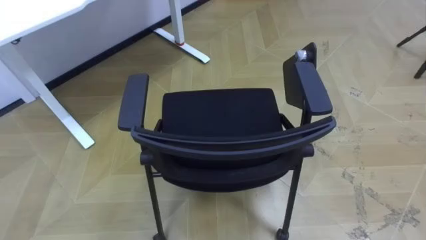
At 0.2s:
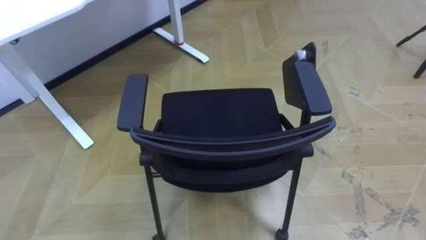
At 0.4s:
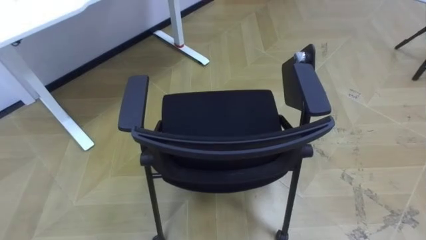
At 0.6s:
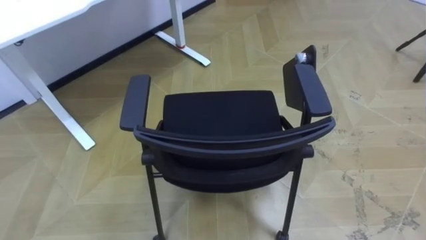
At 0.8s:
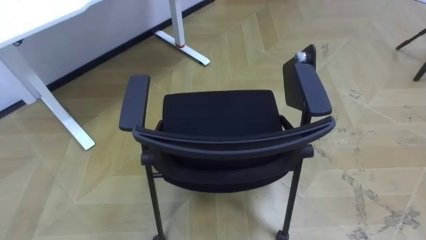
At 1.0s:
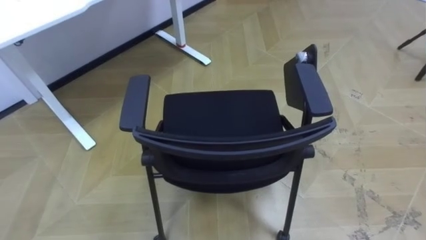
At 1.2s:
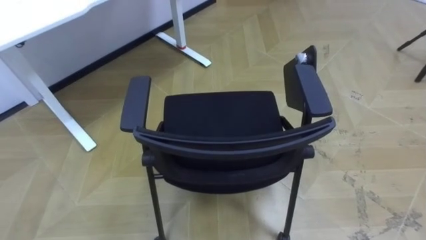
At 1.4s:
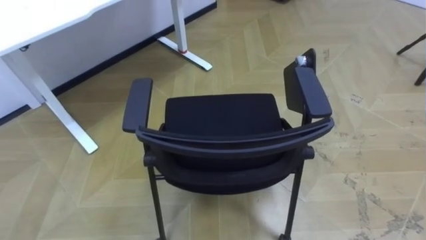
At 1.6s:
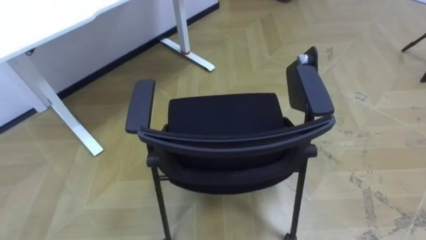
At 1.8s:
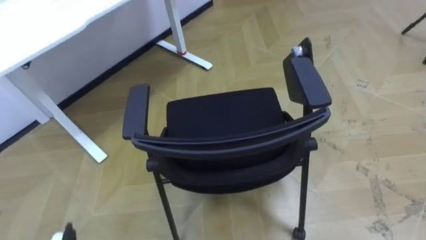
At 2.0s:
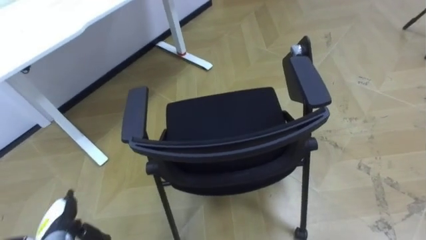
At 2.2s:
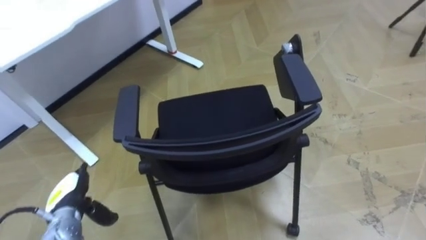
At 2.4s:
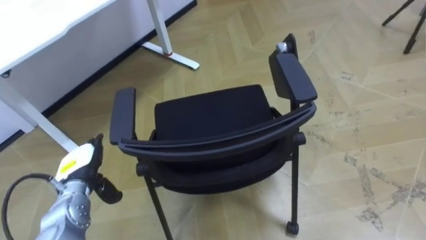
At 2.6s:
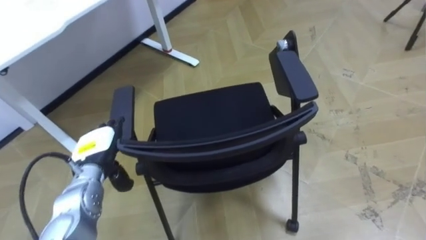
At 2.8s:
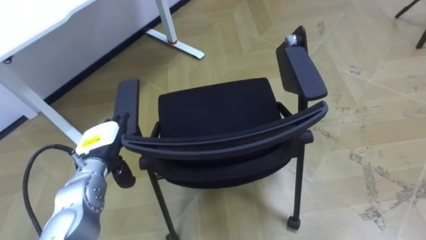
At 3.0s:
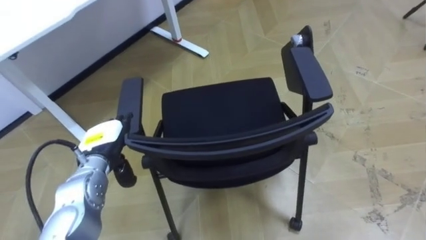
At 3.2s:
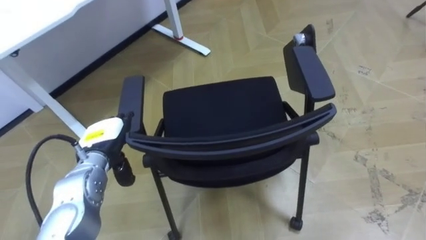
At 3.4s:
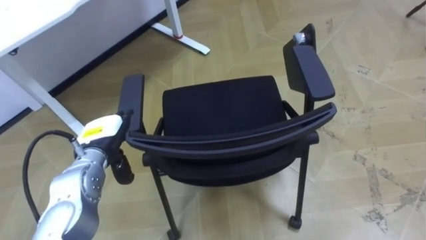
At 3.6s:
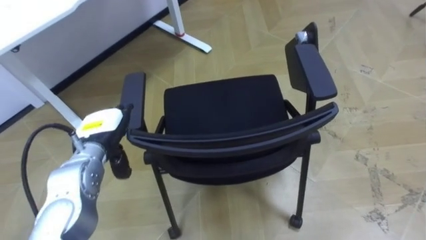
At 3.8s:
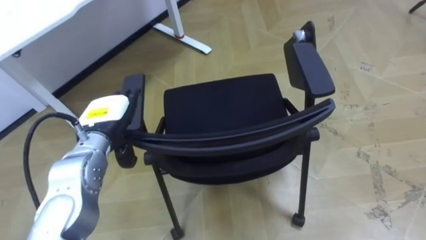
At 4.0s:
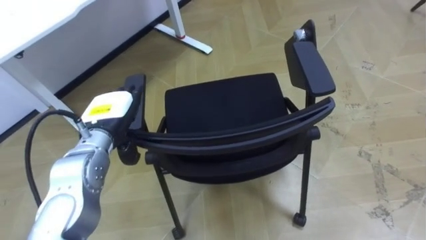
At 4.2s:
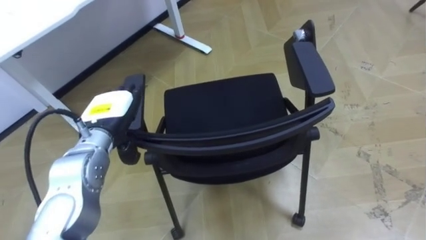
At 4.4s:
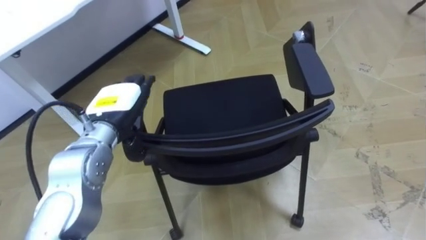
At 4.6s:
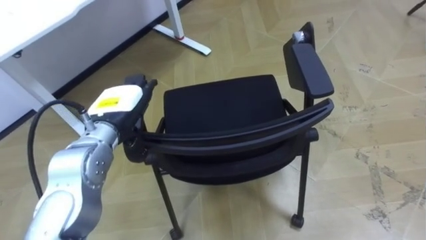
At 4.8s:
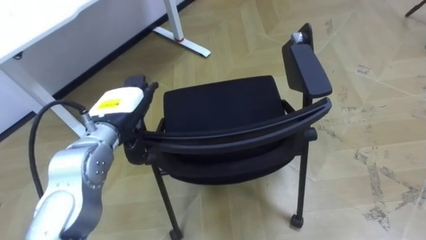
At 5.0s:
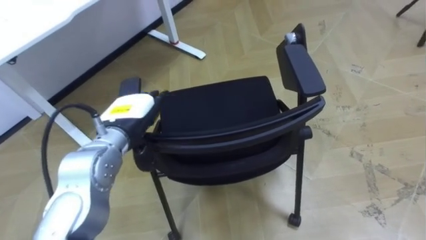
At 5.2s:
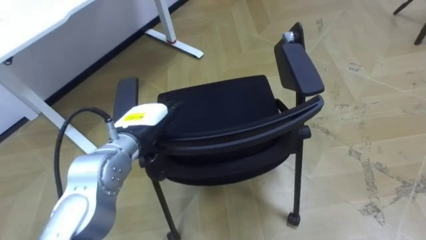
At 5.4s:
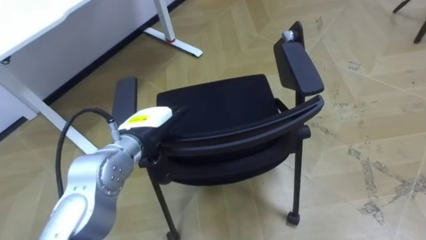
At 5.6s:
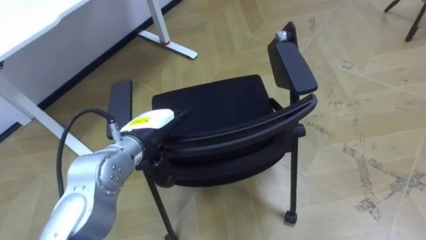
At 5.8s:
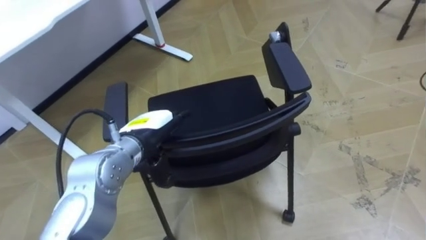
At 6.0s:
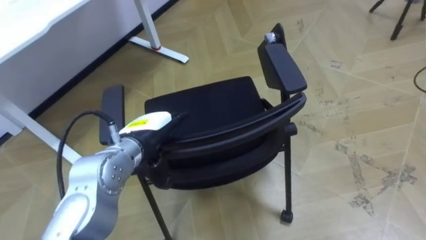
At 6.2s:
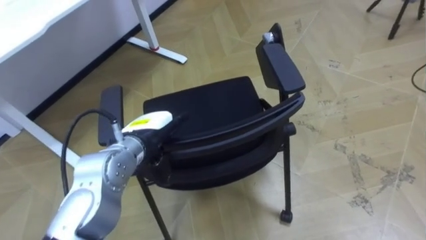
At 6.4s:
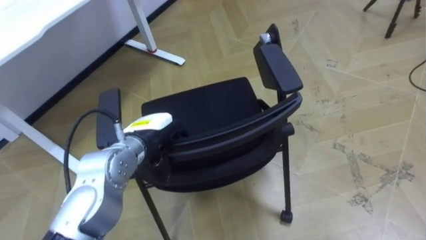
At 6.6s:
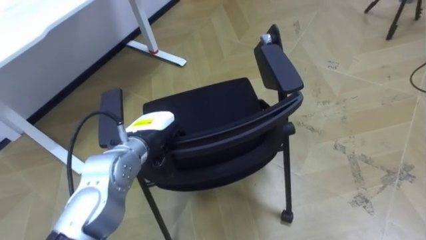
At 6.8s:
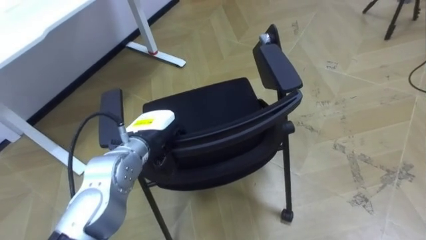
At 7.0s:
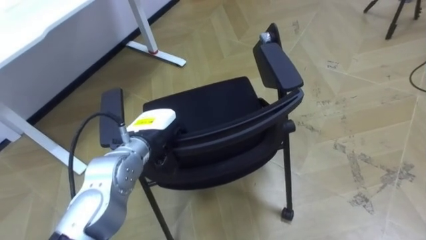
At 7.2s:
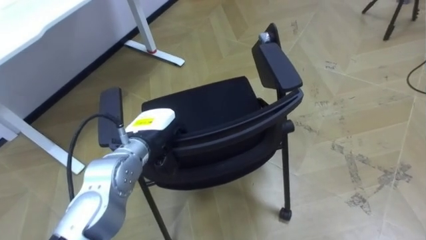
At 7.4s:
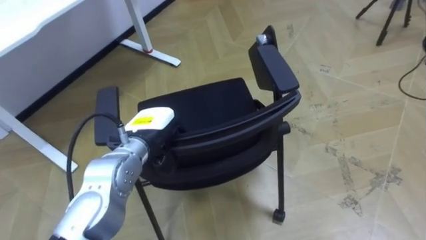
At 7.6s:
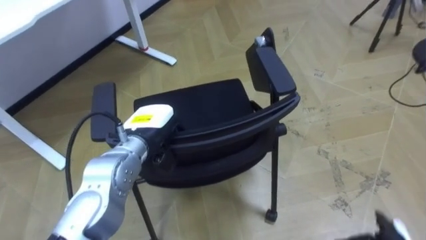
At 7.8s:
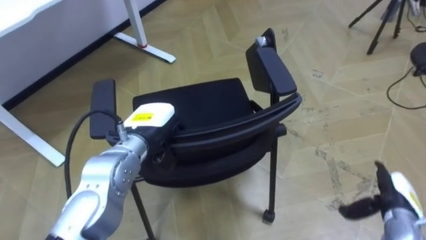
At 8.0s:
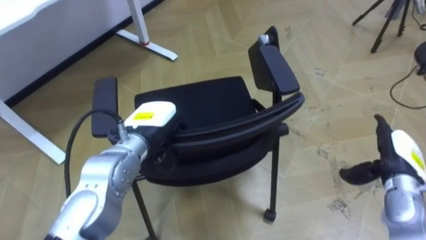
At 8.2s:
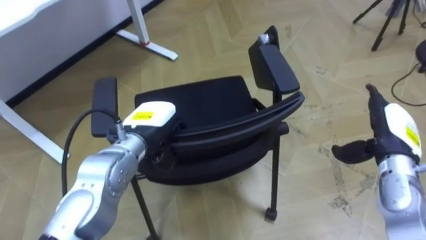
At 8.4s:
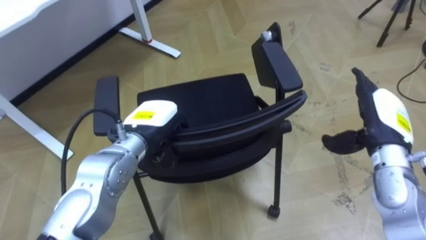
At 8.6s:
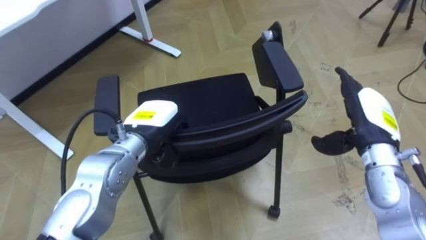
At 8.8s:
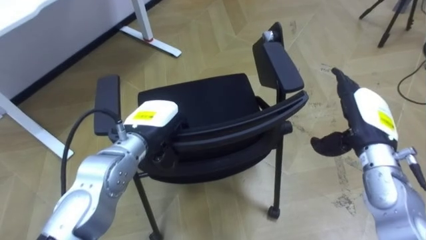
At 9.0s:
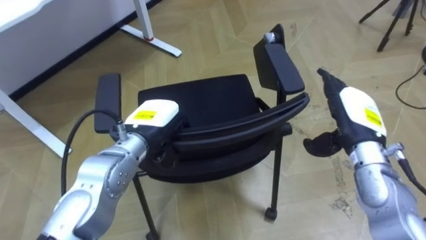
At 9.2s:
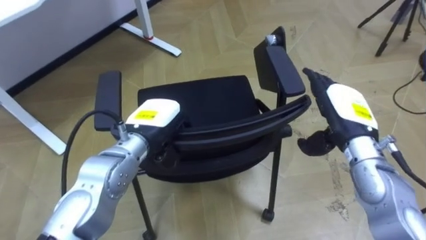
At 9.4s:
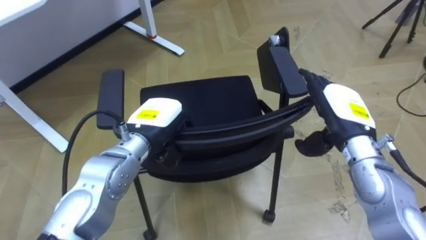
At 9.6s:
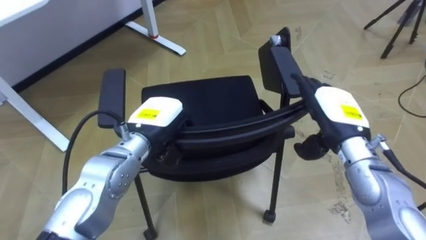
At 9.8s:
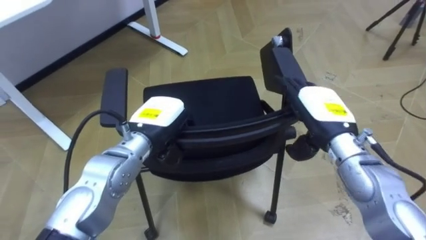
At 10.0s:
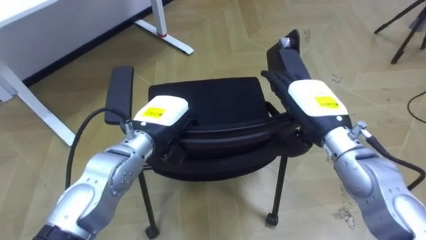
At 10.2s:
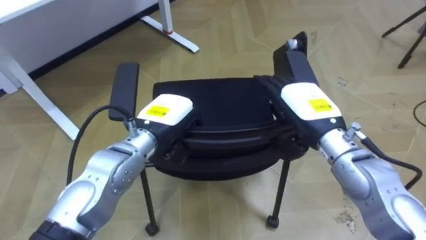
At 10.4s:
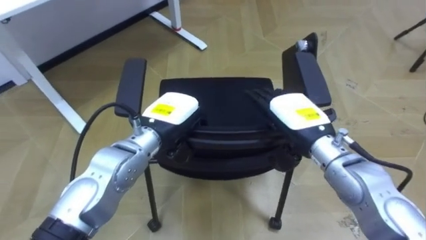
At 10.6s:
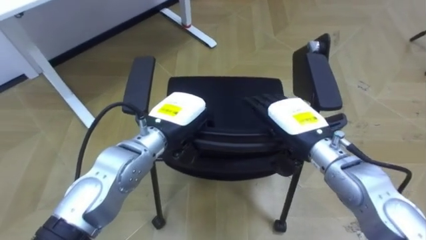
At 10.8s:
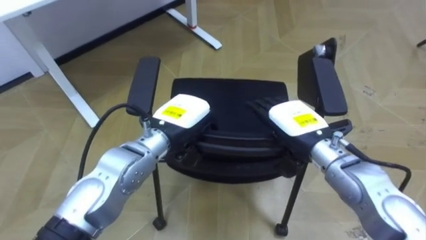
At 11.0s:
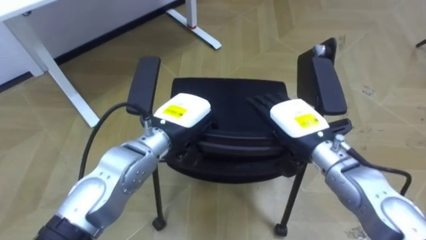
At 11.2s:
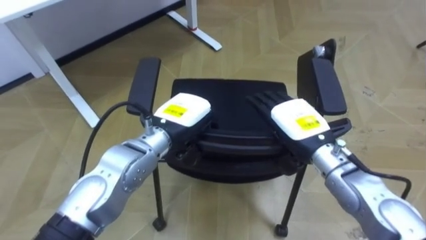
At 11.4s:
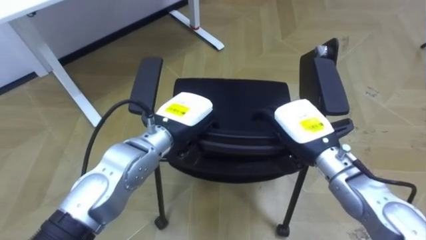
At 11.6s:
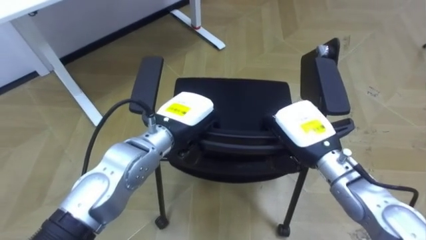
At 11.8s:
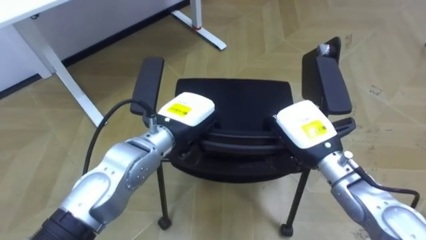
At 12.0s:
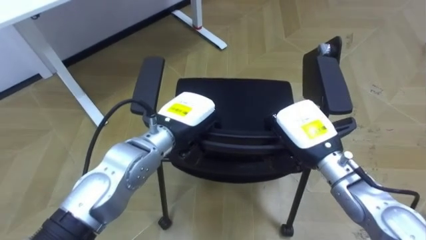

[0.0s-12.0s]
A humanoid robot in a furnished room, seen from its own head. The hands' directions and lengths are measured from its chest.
Task of the whole recording: Push the chair under the table.
3.0s to 4.4s: The left hand shifts about 10 cm upward.
4.4s to 6.0s: The left hand moves to the right, roughly 5 cm.
6.0s to 7.6s: The left hand closes.
9.0s to 10.4s: The right hand travels to the left by some 10 cm.
10.4s to 12.0s: The right hand closes up.

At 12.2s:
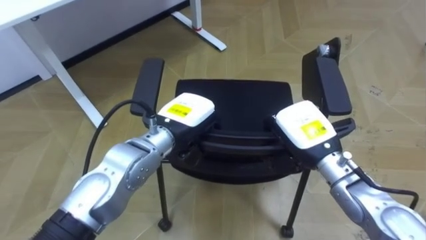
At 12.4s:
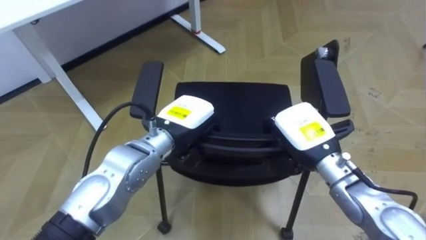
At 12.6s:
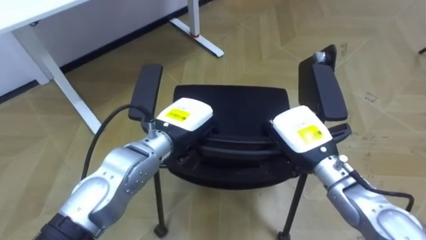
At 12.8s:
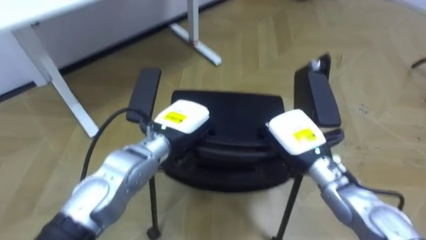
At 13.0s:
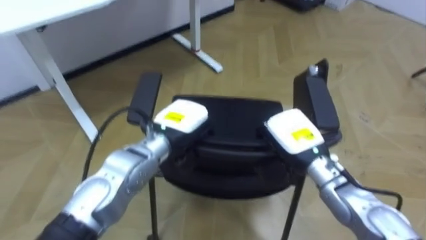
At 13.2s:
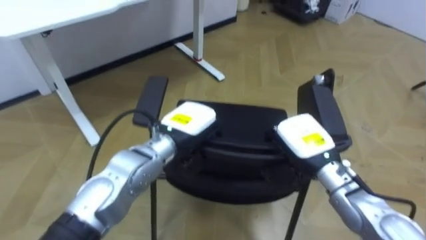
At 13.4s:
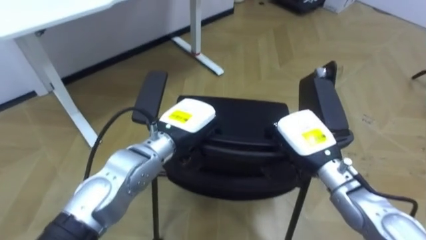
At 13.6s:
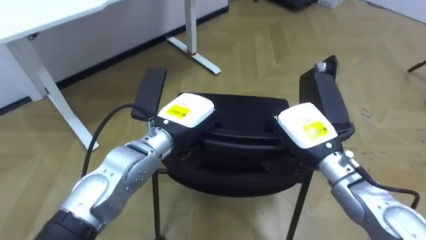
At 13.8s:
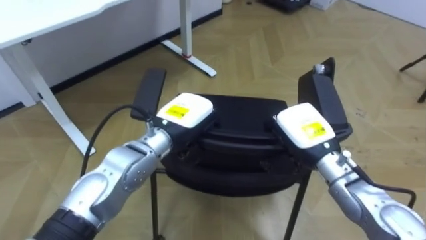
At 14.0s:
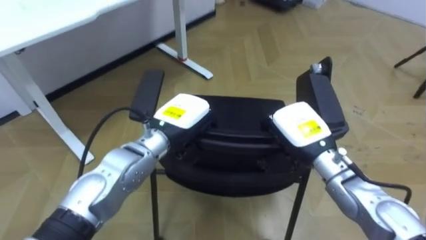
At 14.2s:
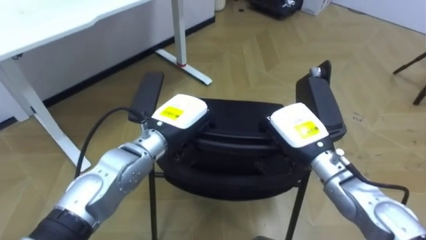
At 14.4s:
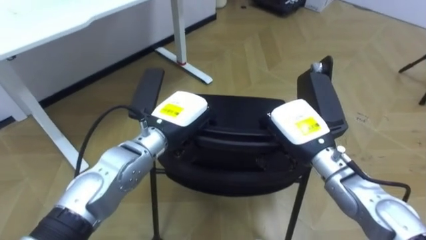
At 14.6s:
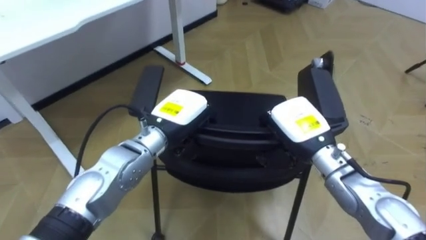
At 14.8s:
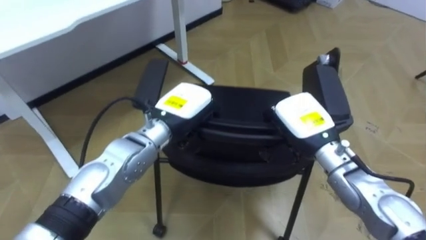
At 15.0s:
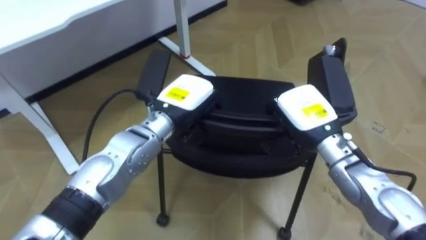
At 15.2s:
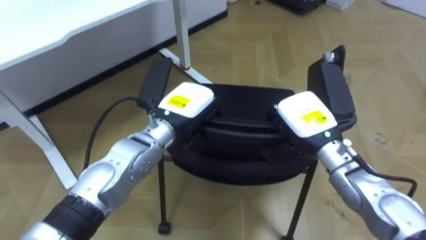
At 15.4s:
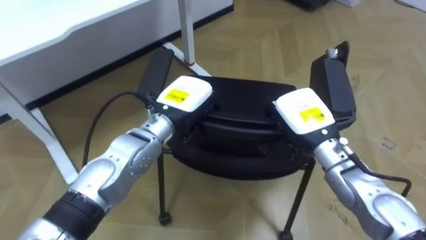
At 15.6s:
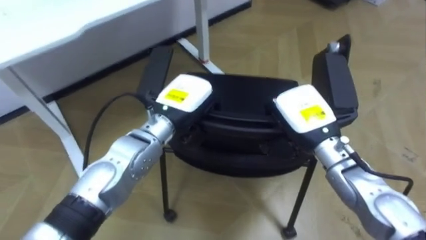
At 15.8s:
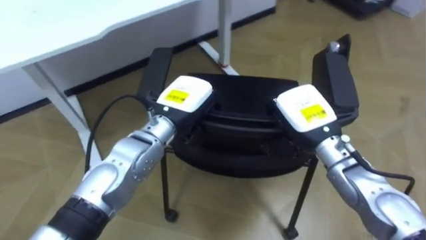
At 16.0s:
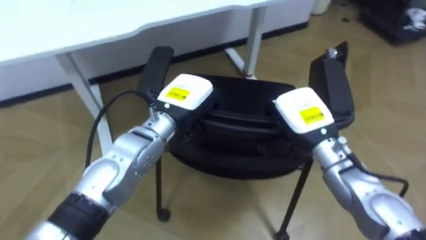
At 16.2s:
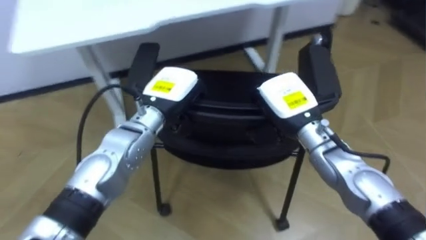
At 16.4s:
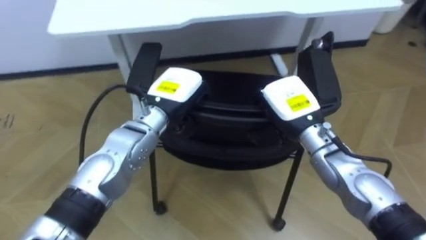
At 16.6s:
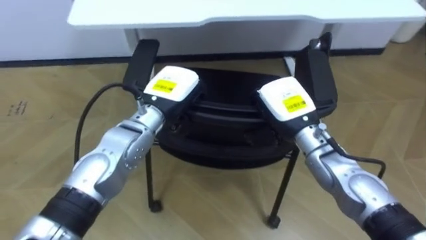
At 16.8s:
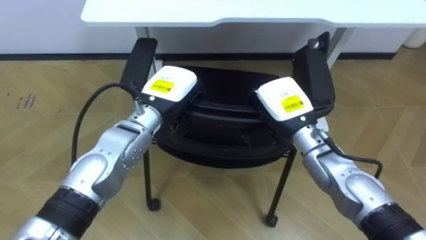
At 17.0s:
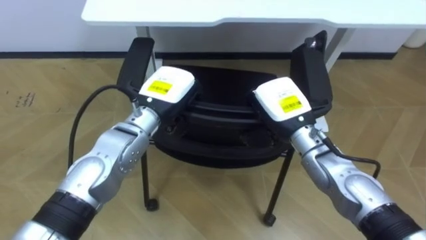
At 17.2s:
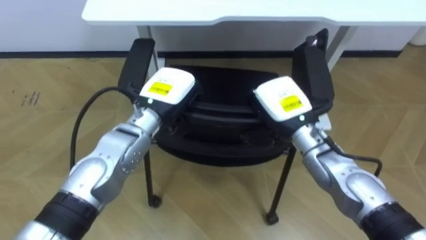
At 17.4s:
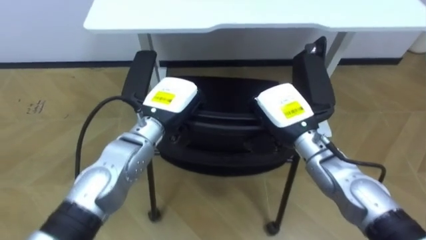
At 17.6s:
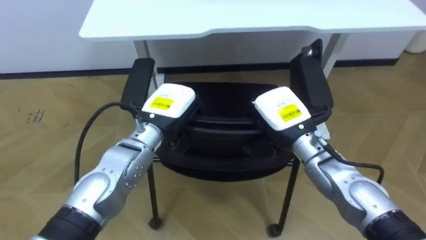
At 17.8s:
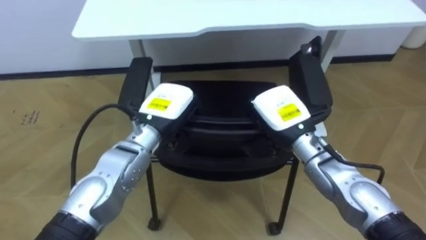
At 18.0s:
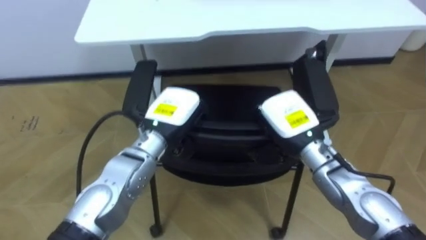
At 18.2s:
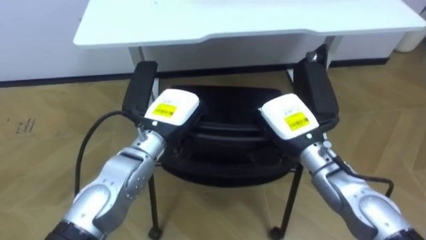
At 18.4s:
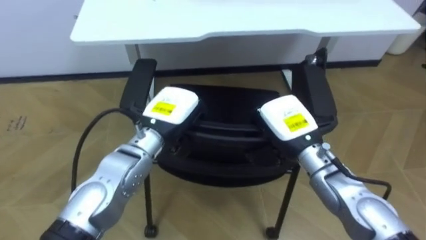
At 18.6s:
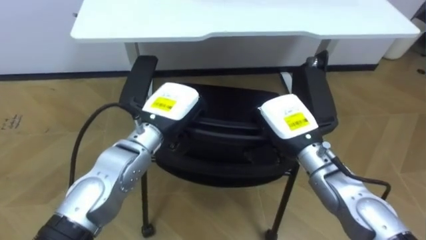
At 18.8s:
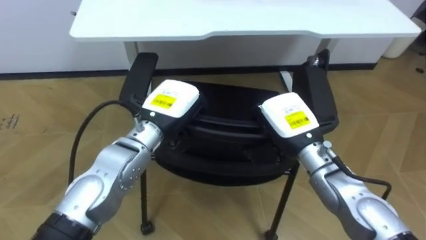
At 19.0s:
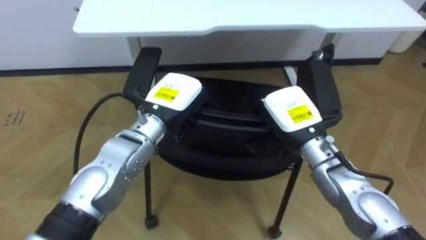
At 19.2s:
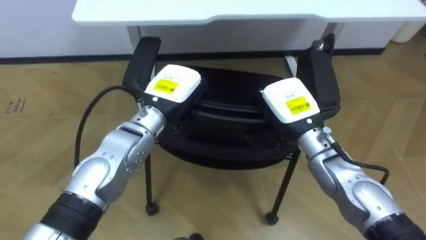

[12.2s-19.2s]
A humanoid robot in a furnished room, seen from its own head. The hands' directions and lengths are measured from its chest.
Task of the whole recording: Push the chair under the table.
15.0s to 16.4s: The robot faces approximately 20 degrees further to its left.
